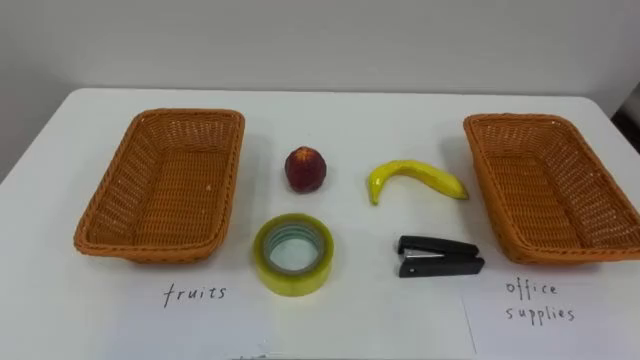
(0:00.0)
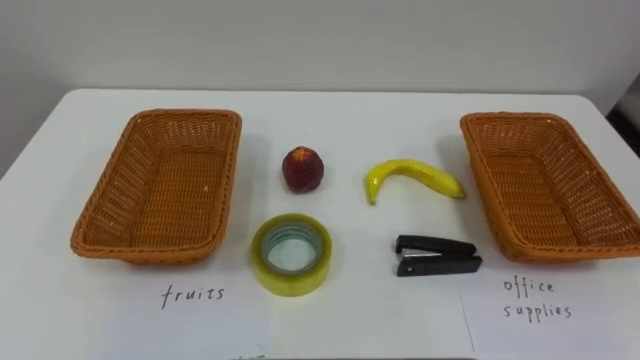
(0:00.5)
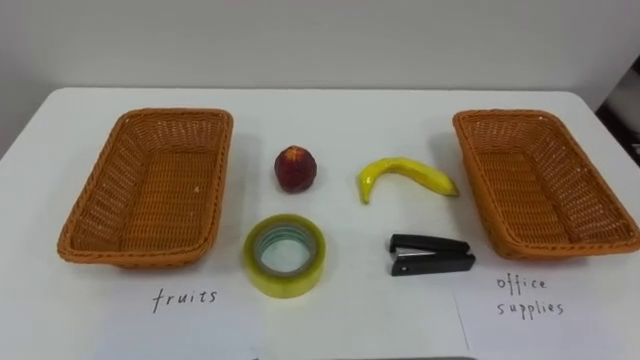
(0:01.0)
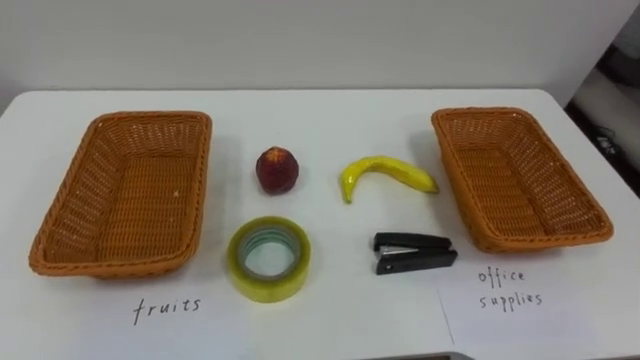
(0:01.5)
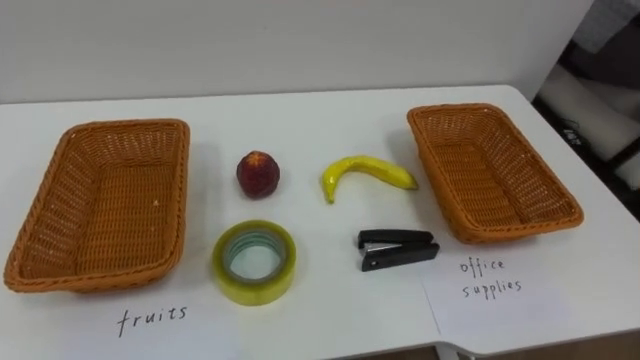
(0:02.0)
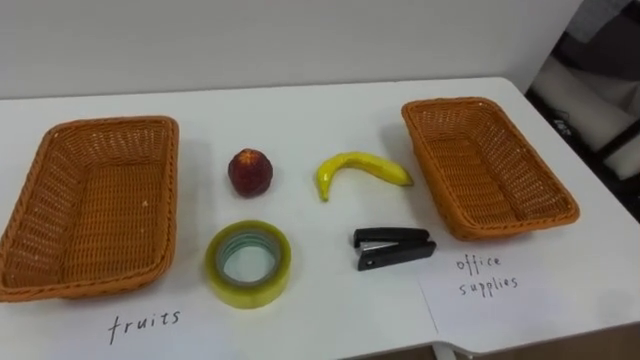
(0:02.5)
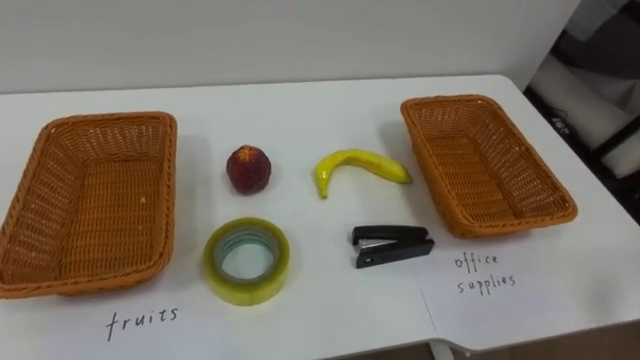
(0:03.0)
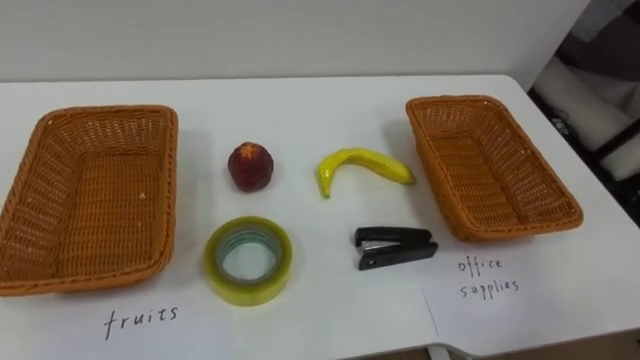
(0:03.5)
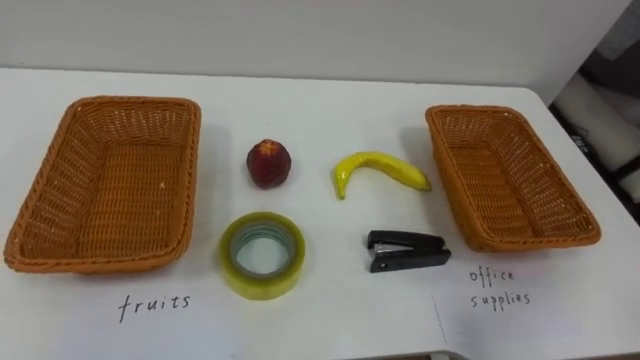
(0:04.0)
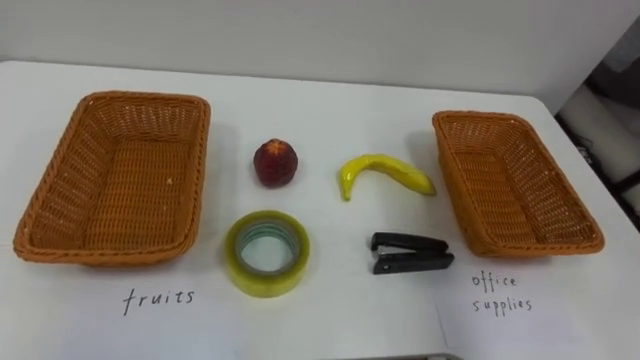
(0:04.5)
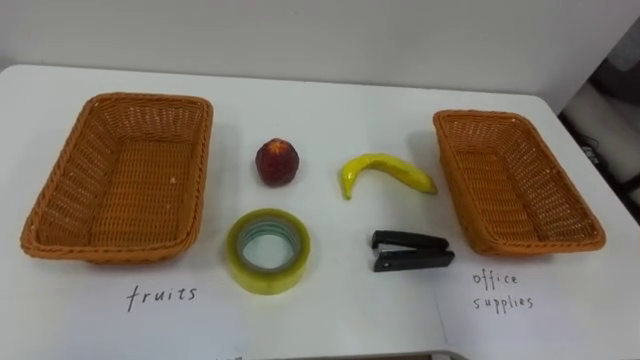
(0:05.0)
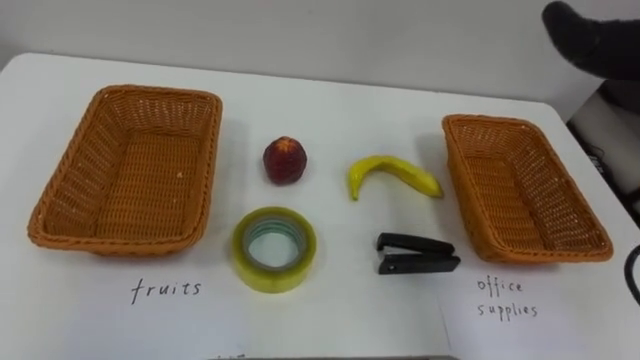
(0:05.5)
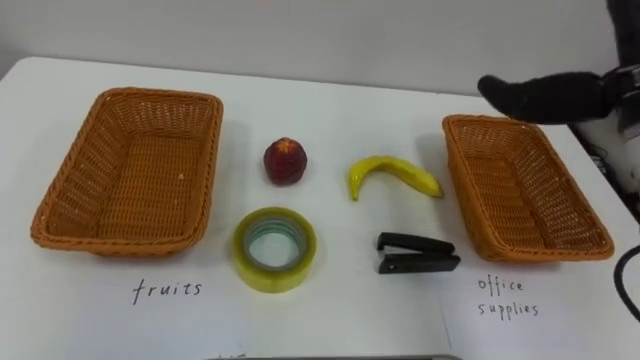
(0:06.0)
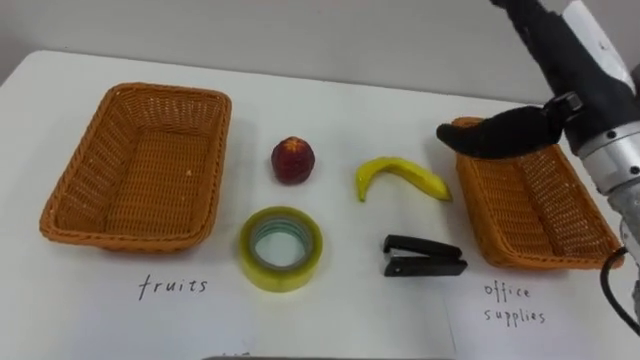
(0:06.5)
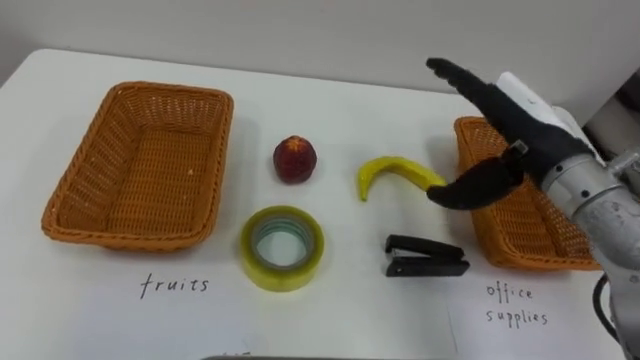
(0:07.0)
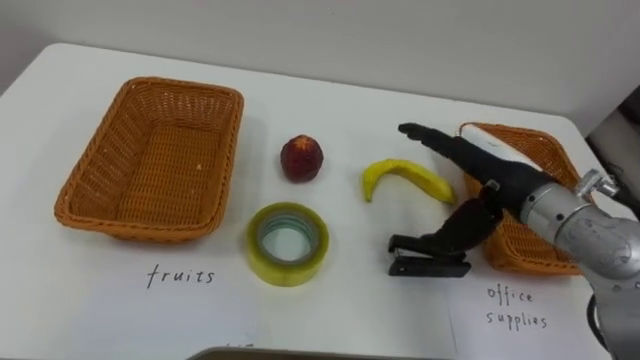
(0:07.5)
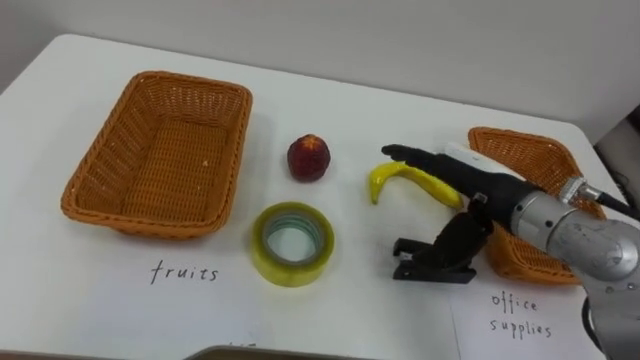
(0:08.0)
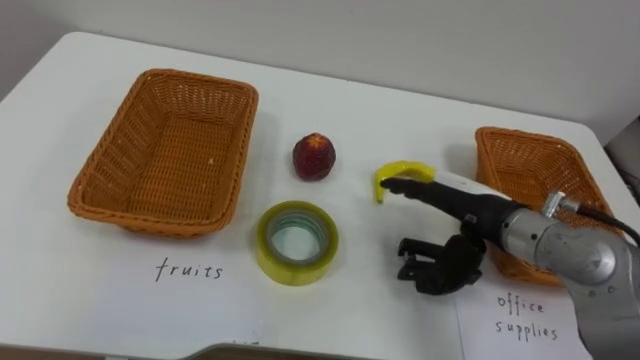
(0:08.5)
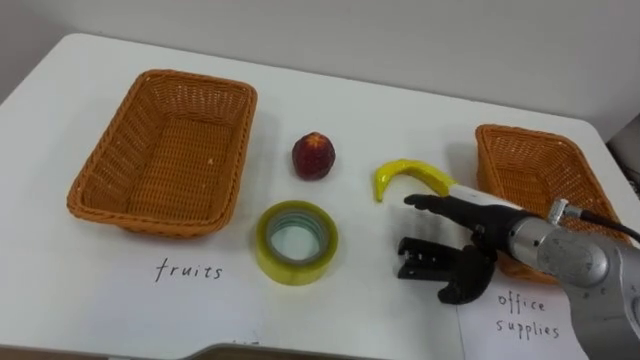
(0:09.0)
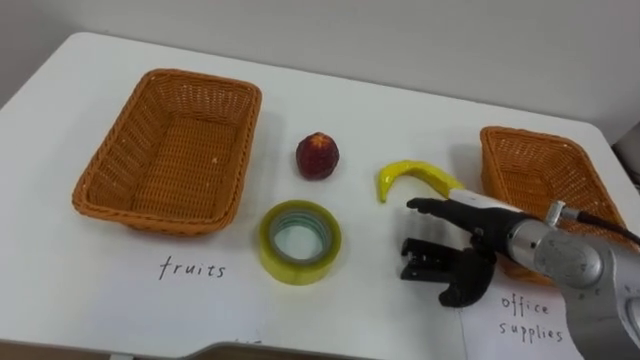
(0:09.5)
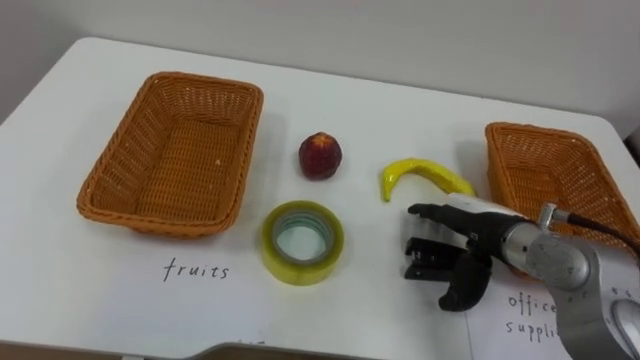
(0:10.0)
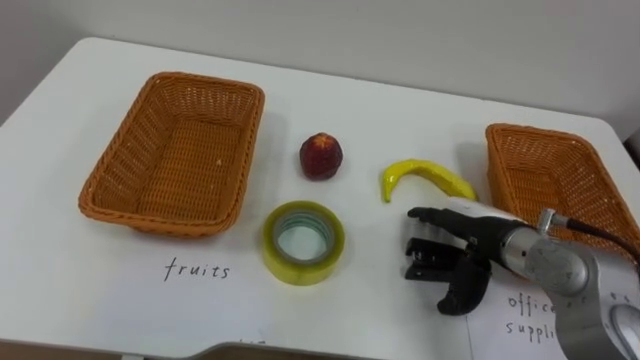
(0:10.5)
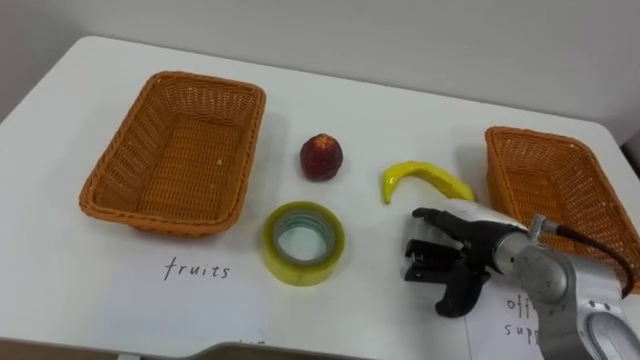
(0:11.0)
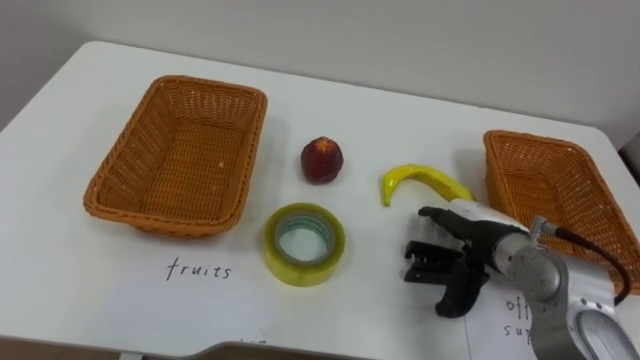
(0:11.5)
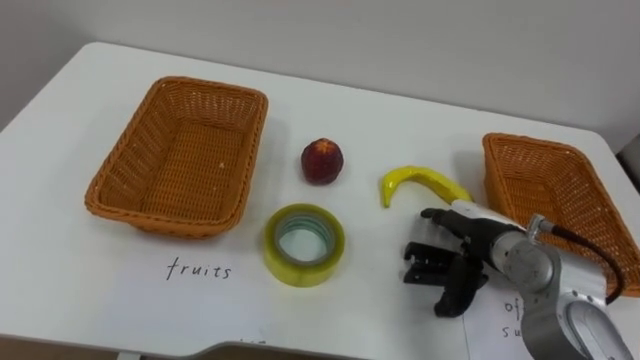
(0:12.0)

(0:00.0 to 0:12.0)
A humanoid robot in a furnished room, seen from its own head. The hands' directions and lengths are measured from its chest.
Task of the whole recording: Separate the items on the table and place them into the two baskets.
0:06.0 - 0:08.0: The right hand travels downward and to the left by roughly 20 cm.
0:08.0 - 0:10.0: The right hand is displaced downward by approximately 5 cm.

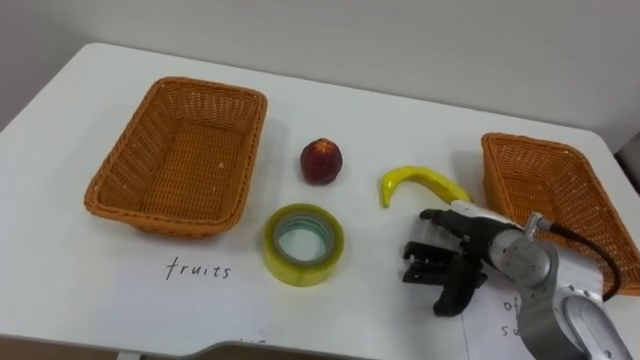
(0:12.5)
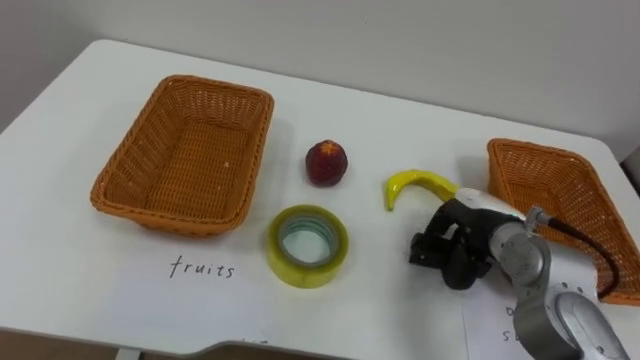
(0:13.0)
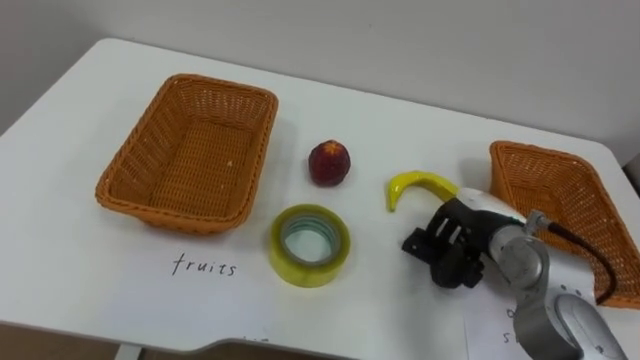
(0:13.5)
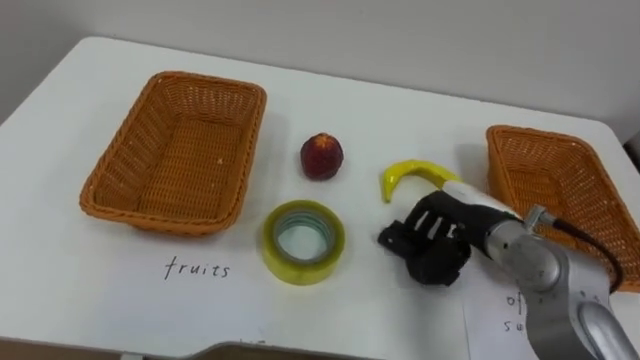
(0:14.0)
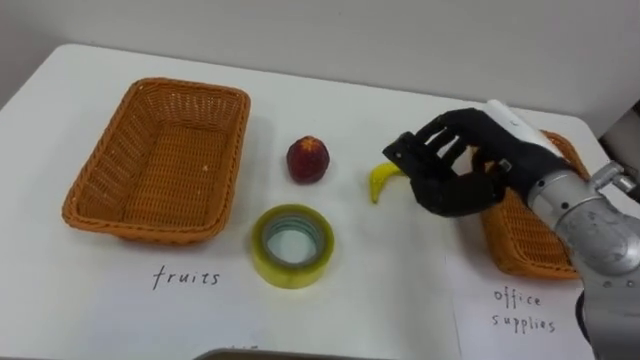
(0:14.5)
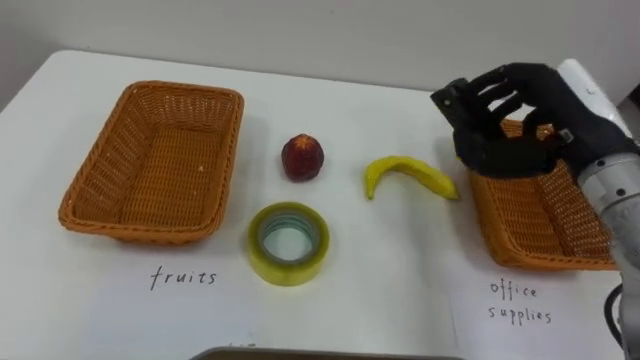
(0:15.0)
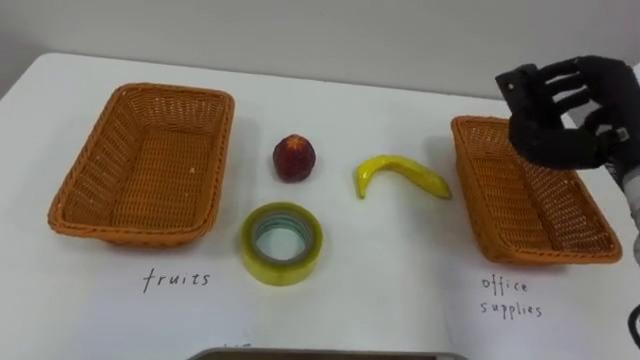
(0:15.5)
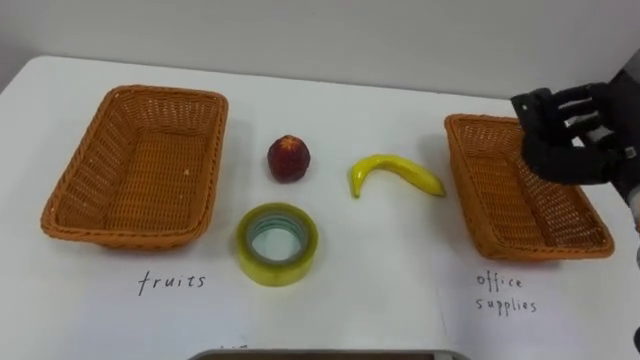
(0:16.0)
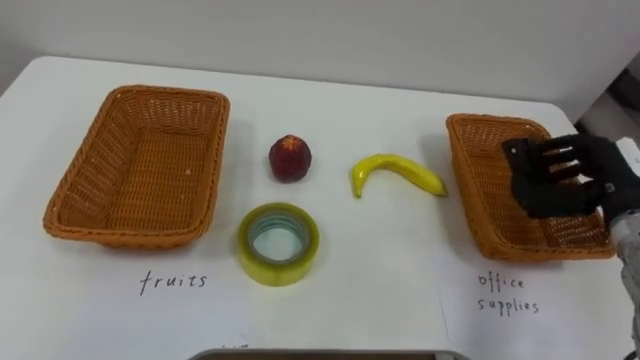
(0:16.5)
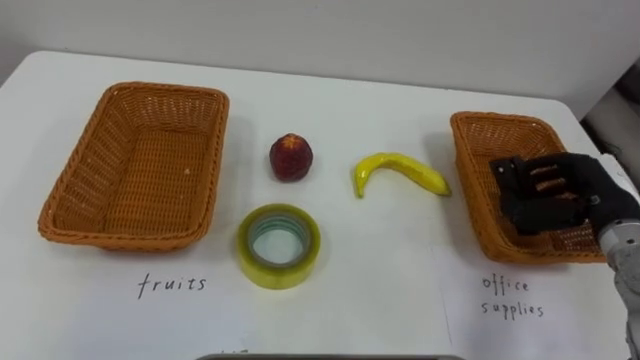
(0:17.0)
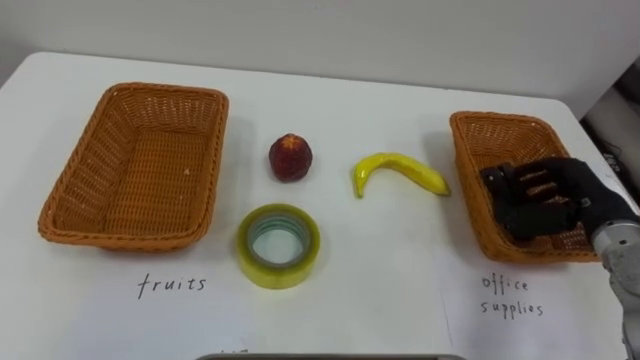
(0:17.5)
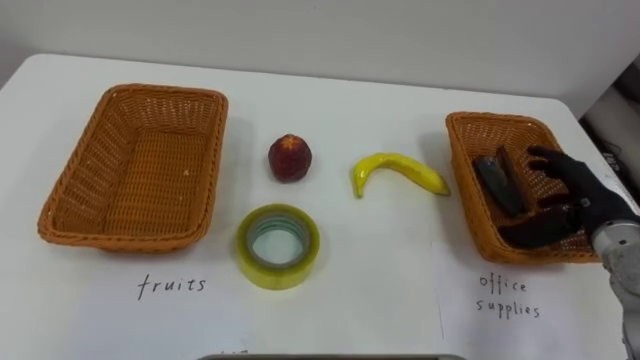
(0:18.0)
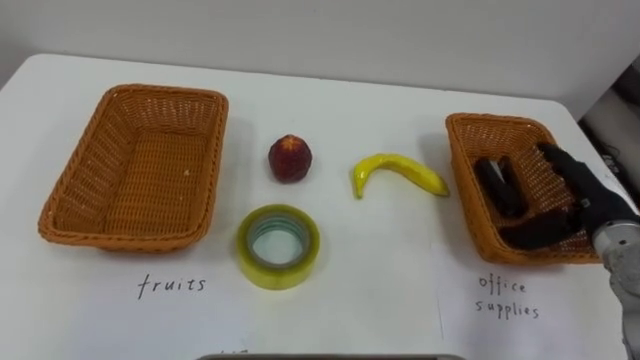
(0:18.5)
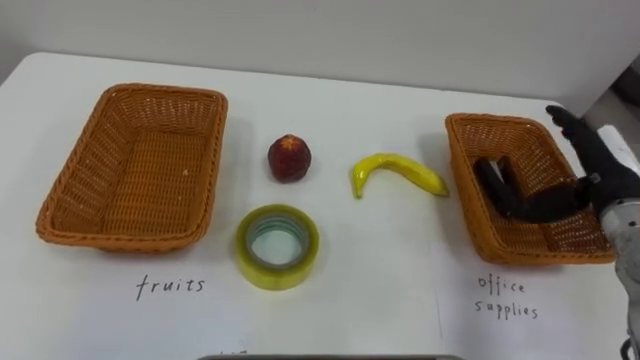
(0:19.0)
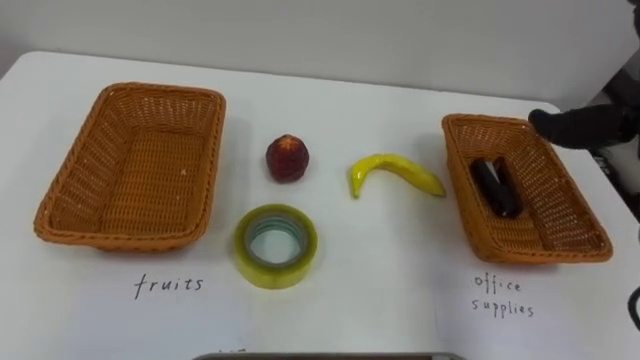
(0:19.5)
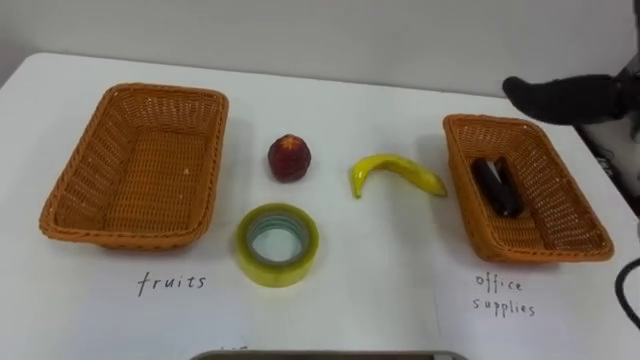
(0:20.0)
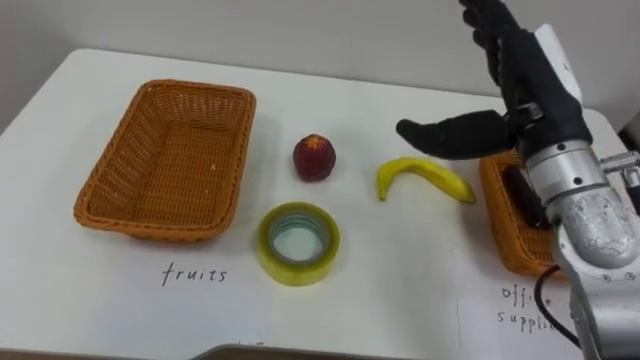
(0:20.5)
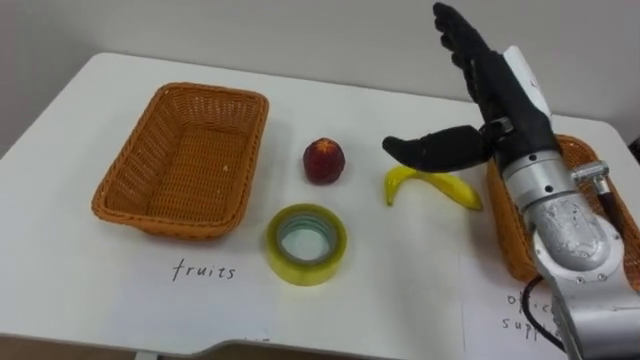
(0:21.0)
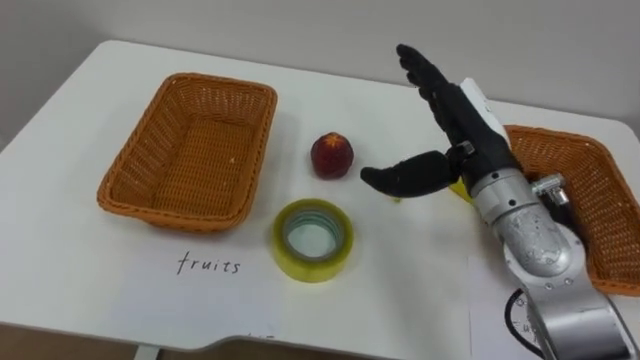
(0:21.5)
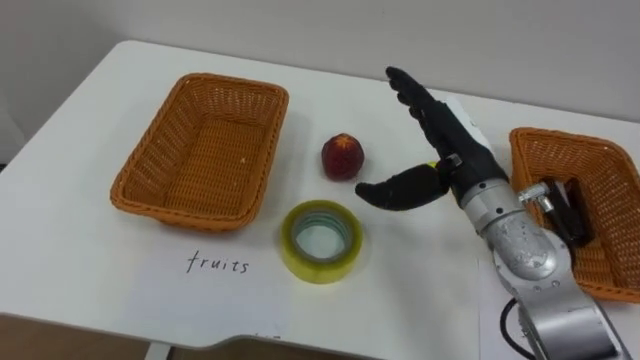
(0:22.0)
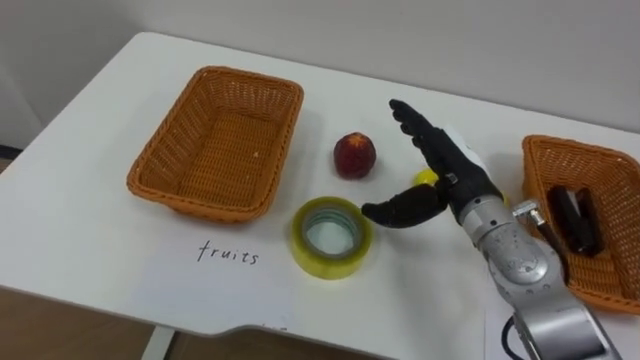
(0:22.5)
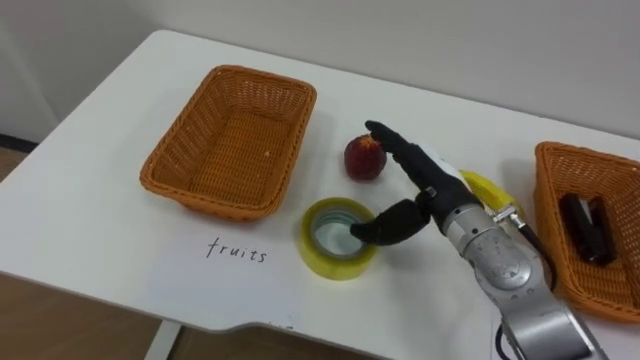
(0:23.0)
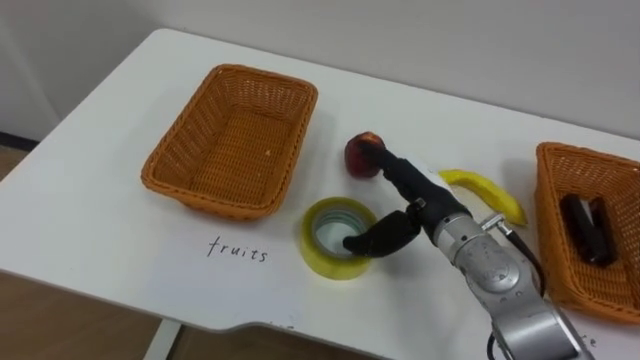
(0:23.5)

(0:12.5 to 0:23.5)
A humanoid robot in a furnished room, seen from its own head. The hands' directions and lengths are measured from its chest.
Task of the whole recording: Separate the items on the table and place them into the two baskets.
0:12.5 - 0:14.5: The right hand goes some 15 cm upward, and closes its fingers.
0:14.5 - 0:16.0: The right hand is displaced to the right by roughly 15 cm.
0:16.0 - 0:18.0: The right hand heads downward, covering some 10 cm, and opens up.
0:21.5 - 0:23.5: The right hand is displaced downward by some 10 cm.
